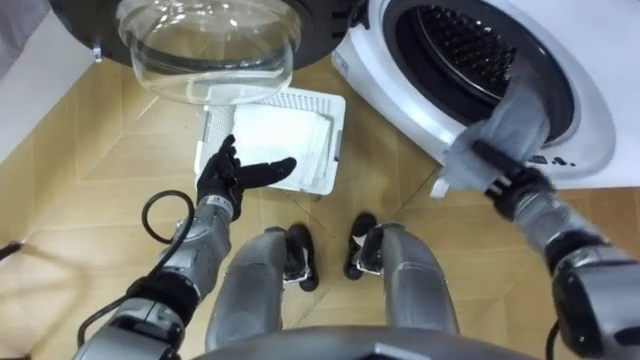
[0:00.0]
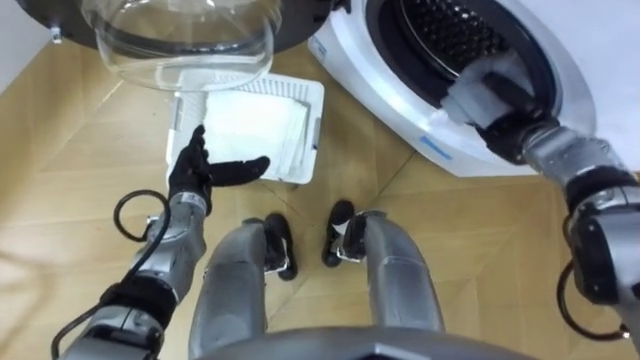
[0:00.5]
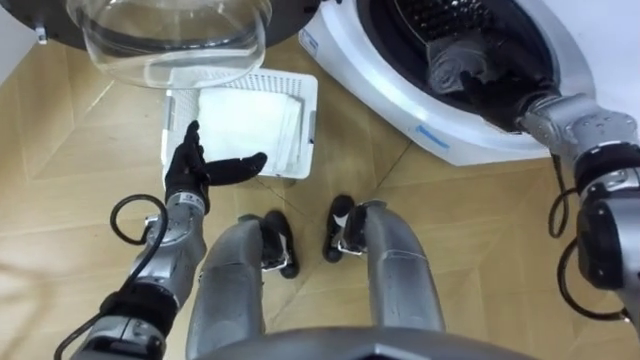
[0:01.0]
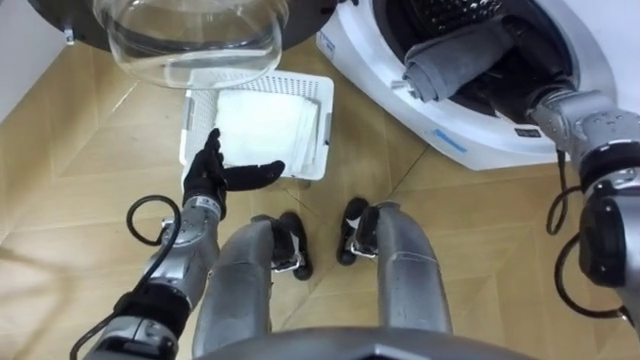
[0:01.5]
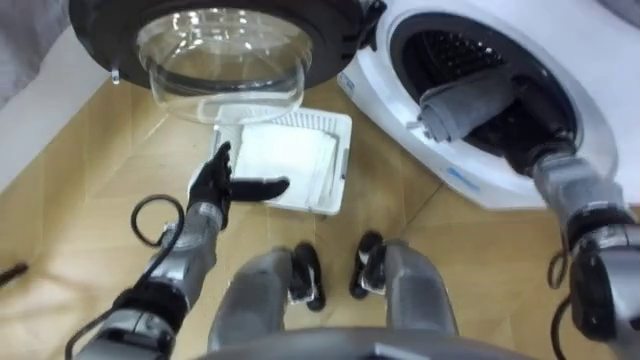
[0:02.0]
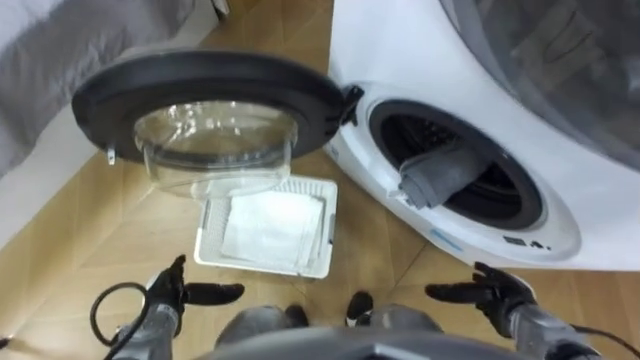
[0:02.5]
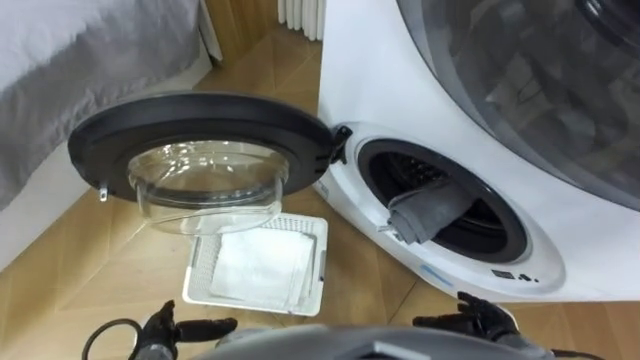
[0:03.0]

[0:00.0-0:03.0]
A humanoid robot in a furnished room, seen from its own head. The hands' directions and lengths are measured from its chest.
Task of the whole recording: Take the towel from the basket and put it into the washing machine.
0.0 to 1.5 s: The right hand moves forward and upward, about 15 cm, and opens.
1.5 to 3.0 s: Both hands move backward and downward, some 30 cm.

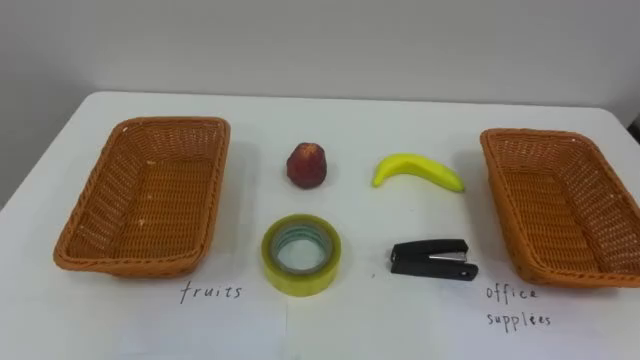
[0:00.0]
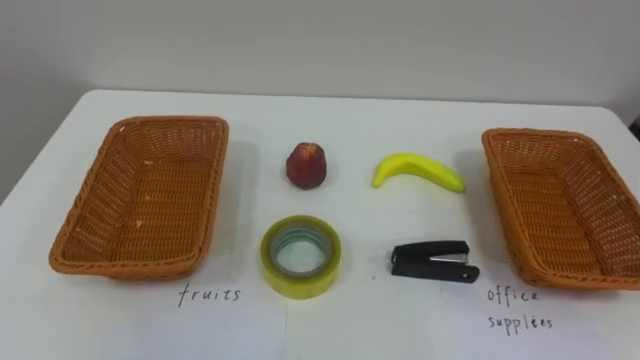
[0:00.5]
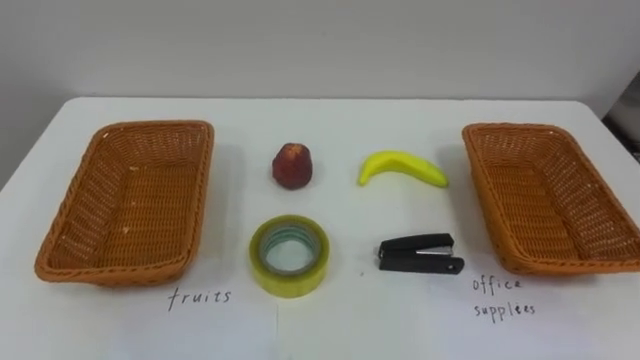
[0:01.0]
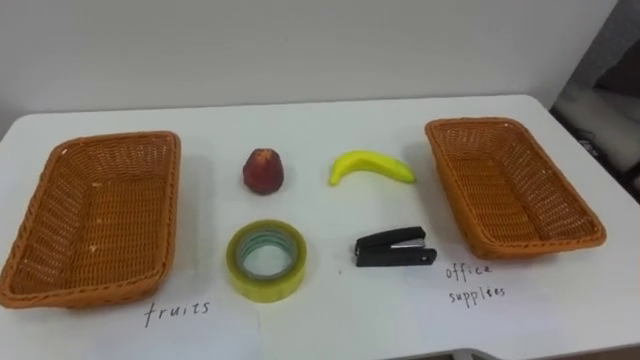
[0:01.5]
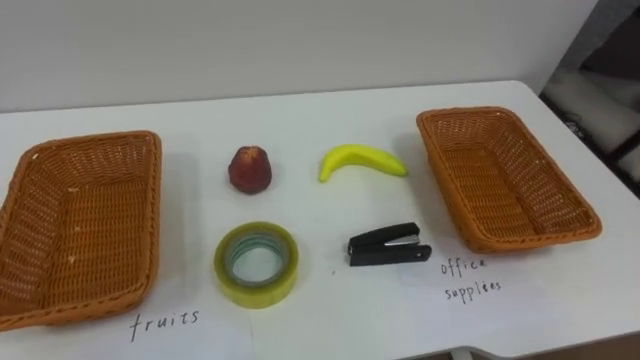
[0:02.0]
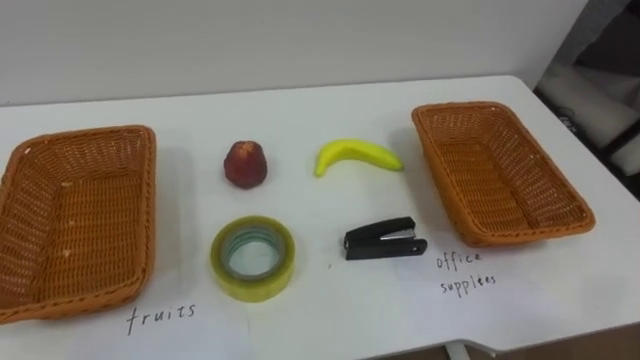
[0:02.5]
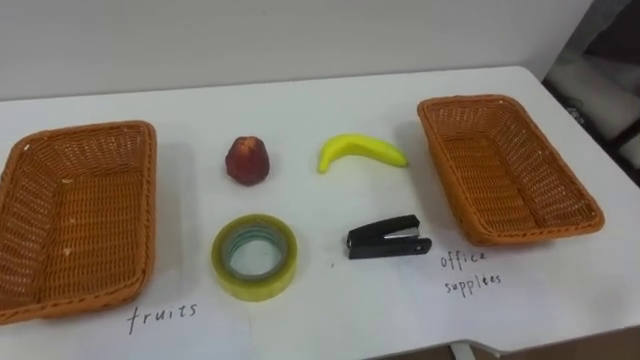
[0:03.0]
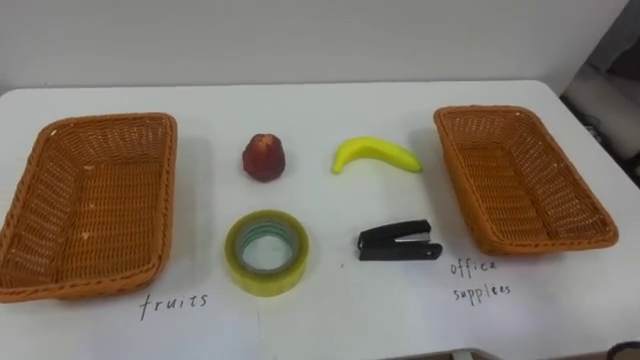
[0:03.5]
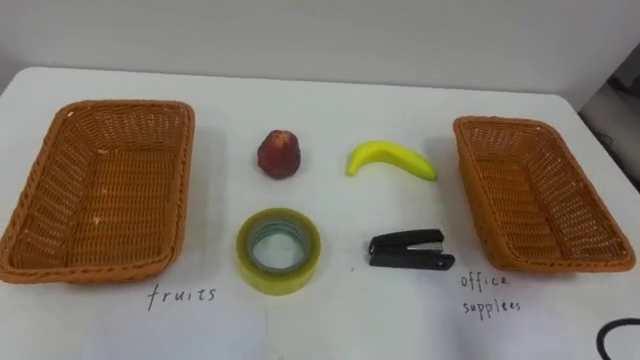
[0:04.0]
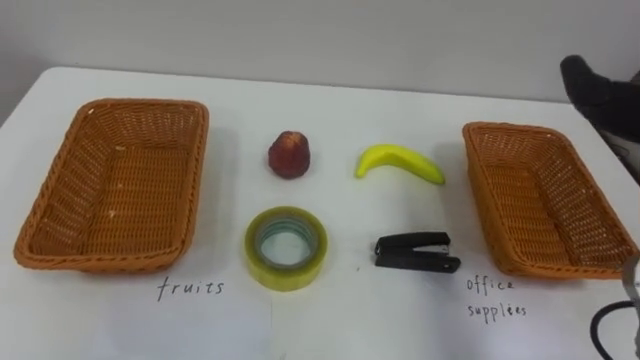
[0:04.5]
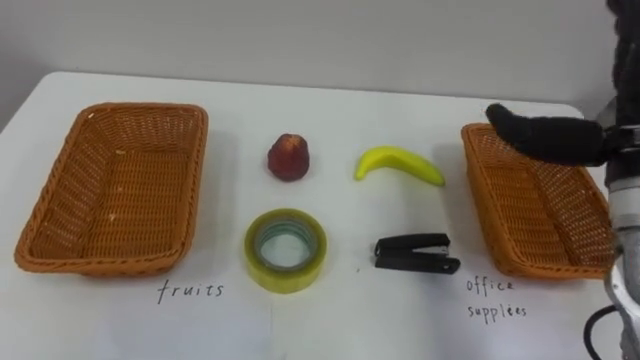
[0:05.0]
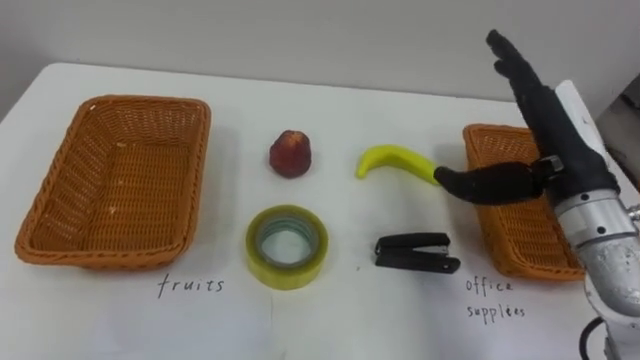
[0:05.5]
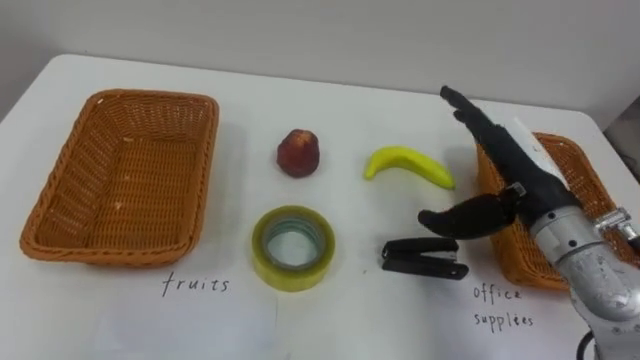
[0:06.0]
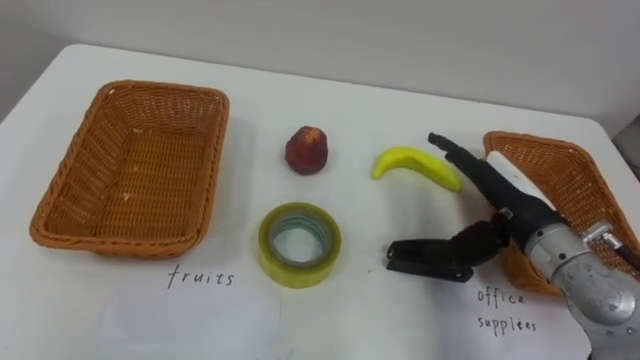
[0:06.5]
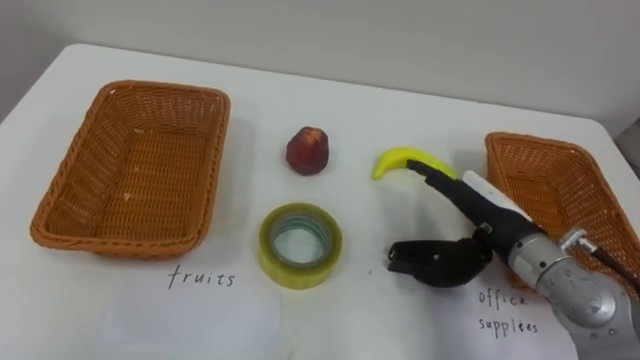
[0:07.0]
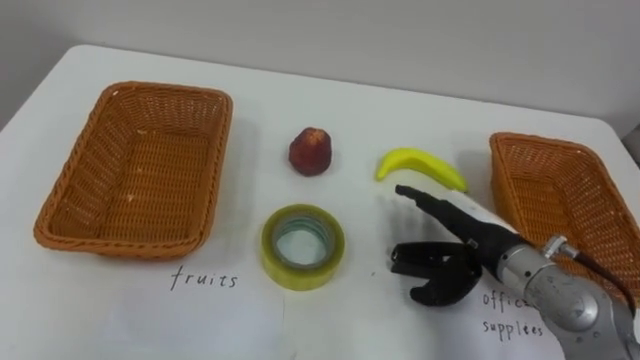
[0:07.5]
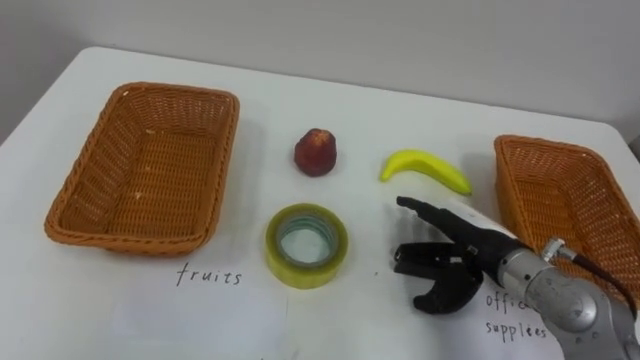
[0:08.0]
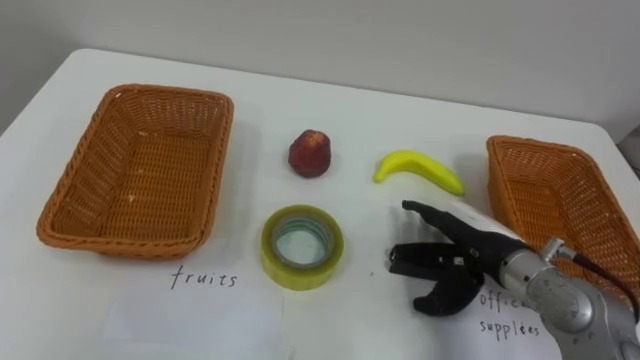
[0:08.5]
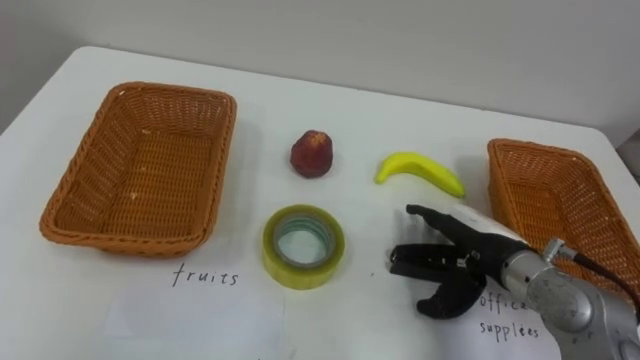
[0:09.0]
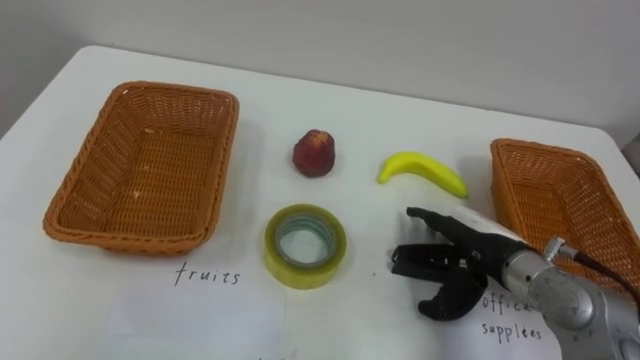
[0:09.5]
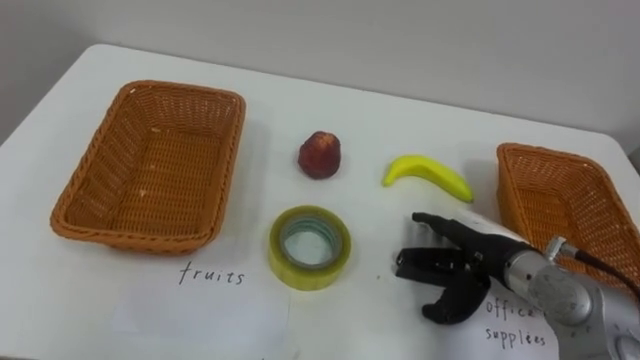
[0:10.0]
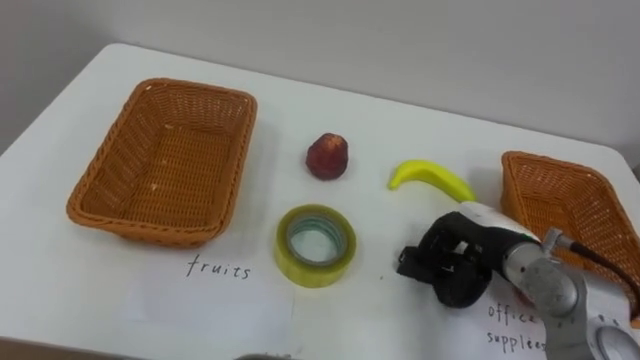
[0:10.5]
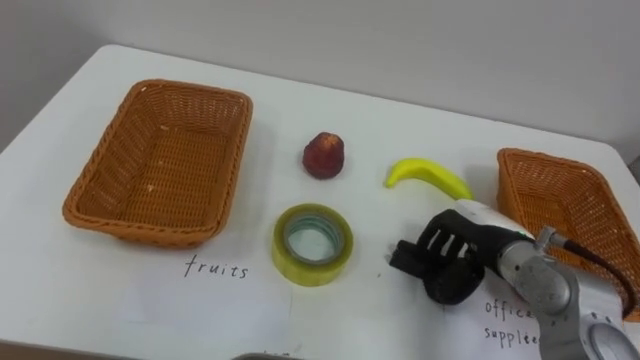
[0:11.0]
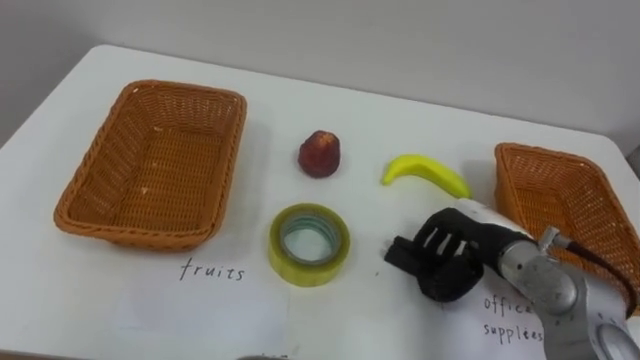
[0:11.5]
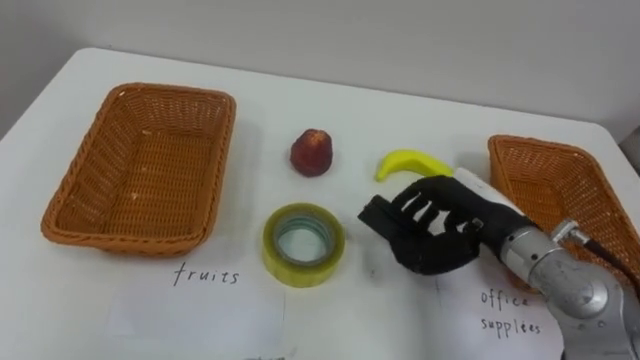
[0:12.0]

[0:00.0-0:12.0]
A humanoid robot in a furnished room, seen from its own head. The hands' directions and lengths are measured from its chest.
Task of the whole recording: Separate the items on the table and place them into the two baskets.
6.0 to 8.0 s: The right hand is displaced downward by some 10 cm.
10.0 to 12.0 s: The right hand heads upward, covering about 5 cm, and closes.

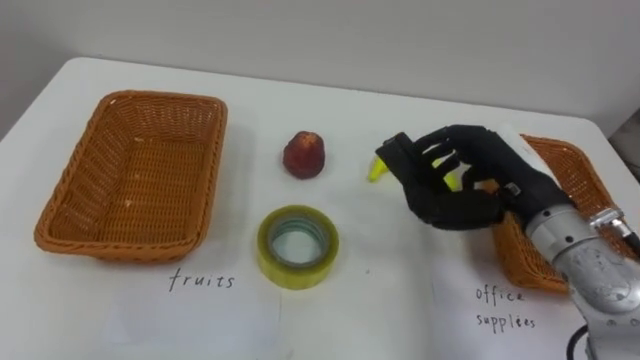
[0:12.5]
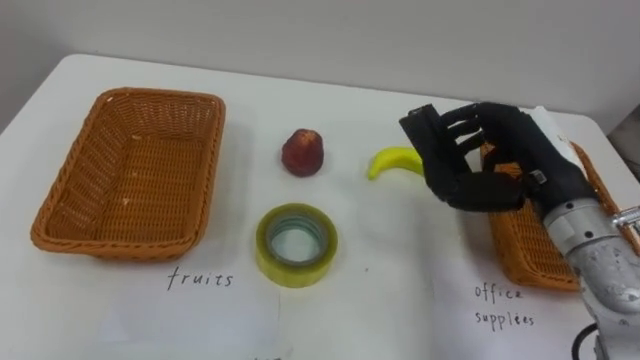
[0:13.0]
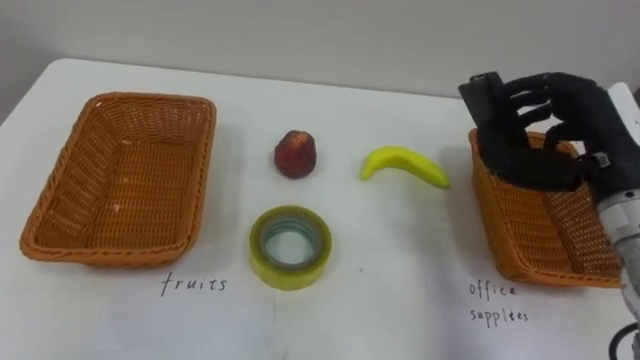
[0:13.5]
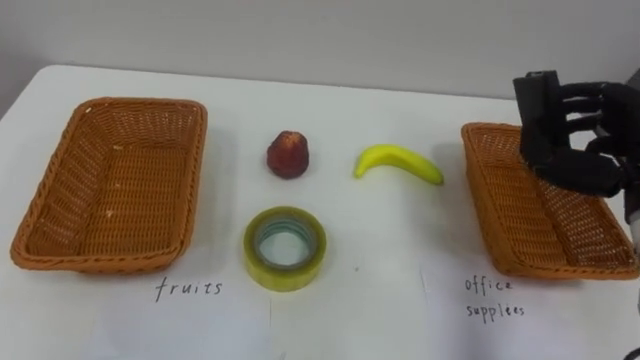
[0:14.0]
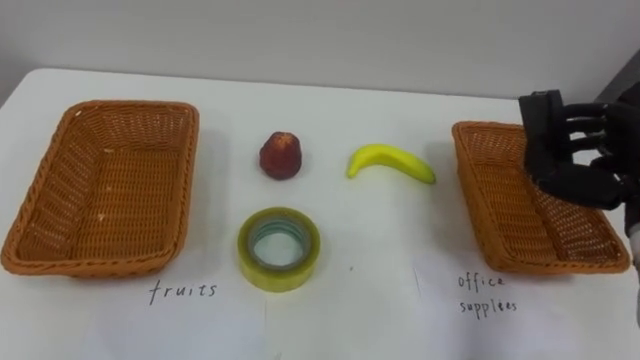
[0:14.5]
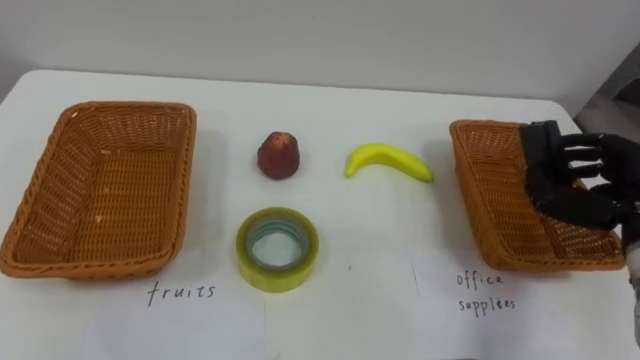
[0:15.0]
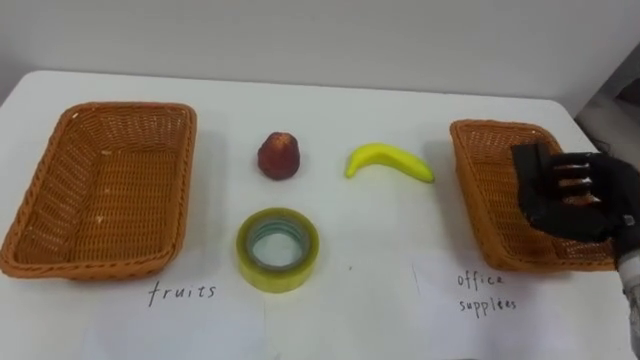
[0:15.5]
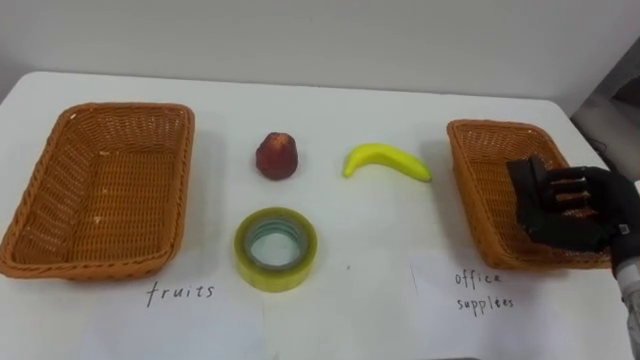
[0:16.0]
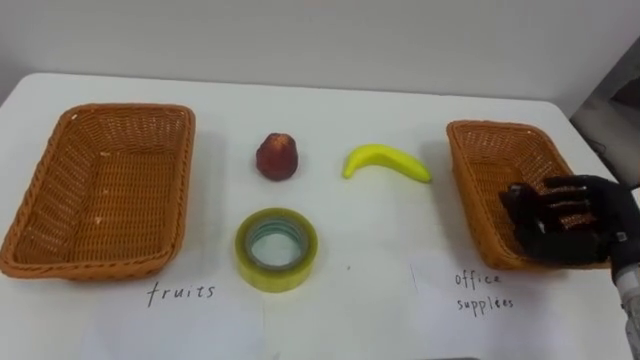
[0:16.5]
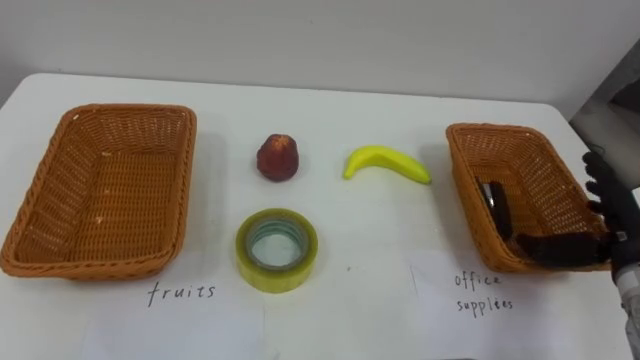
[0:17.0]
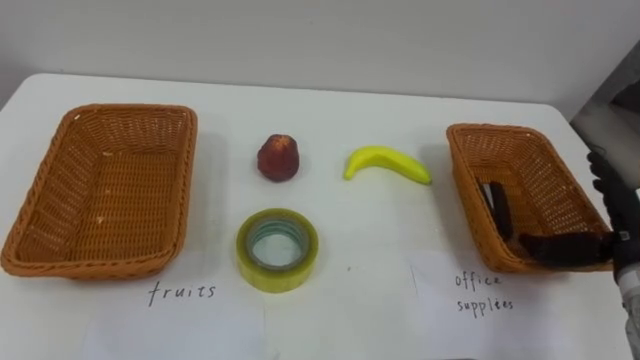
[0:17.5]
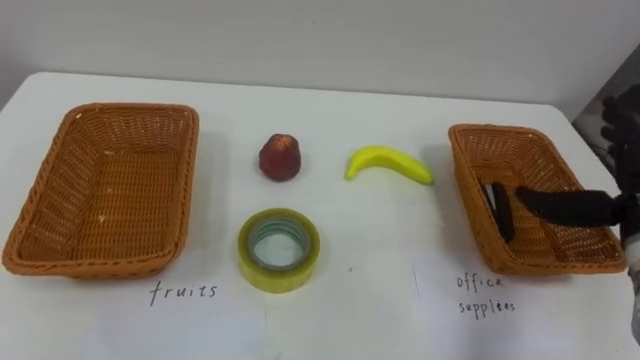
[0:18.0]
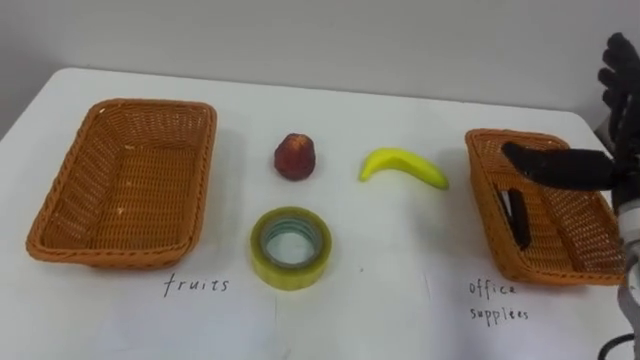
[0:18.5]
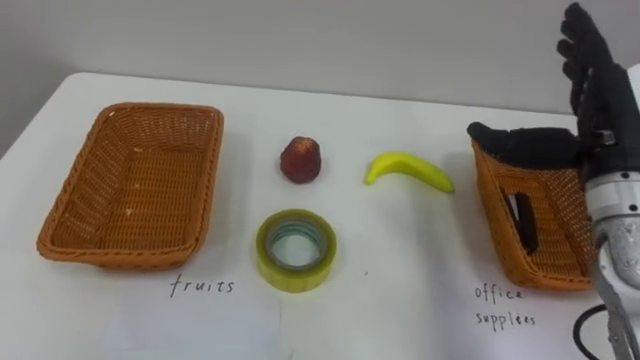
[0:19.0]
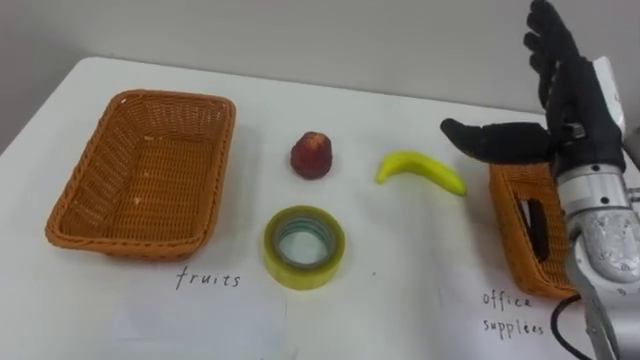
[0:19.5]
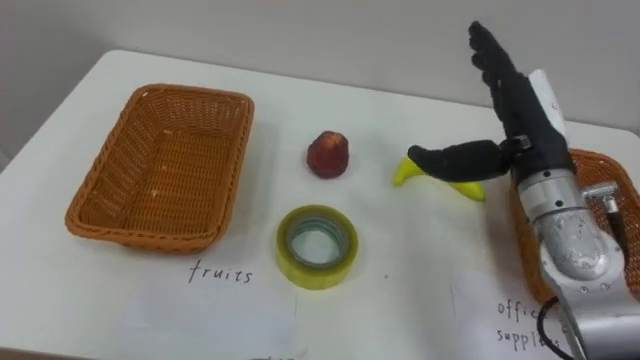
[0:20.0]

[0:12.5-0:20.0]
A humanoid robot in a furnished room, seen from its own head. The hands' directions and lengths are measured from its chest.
Task of the whole recording: Separate the items on the table and place them into the two baskets.
12.5 to 14.5 s: The right hand moves to the right, about 15 cm.
14.5 to 16.5 s: The right hand travels downward by approximately 10 cm.
16.5 to 18.0 s: The right hand travels upward by roughly 5 cm, and opens.
